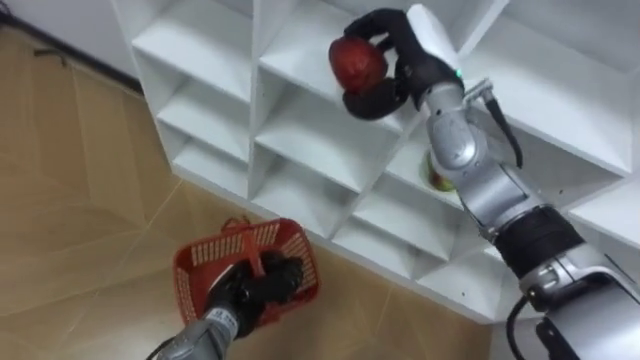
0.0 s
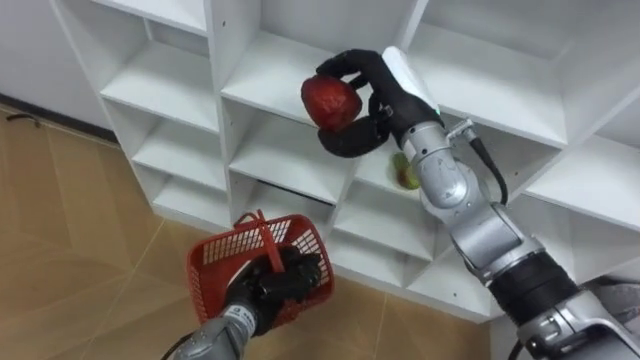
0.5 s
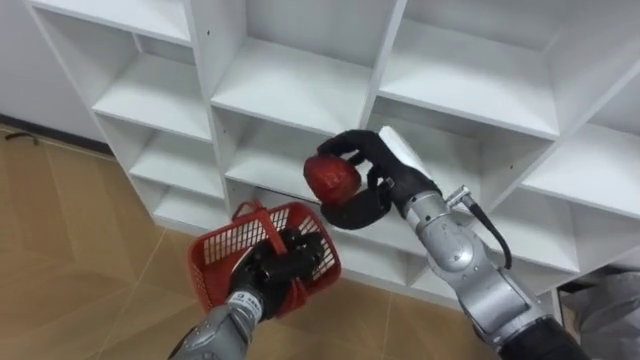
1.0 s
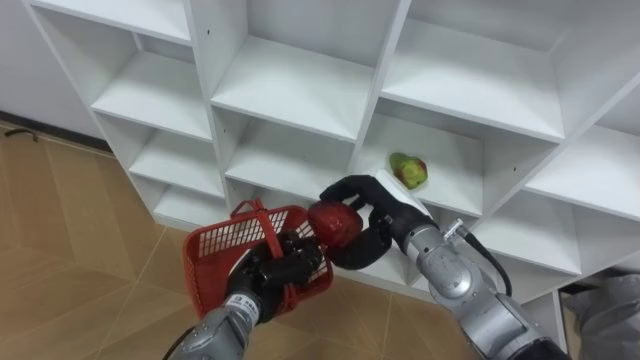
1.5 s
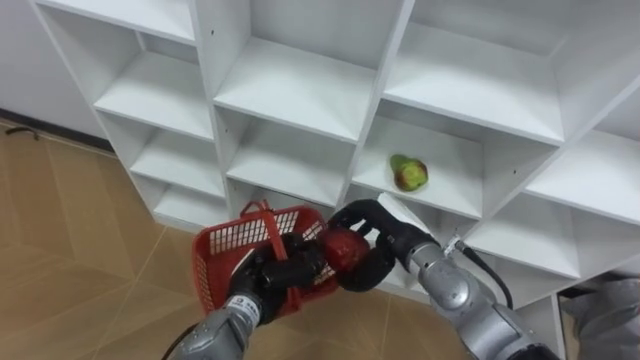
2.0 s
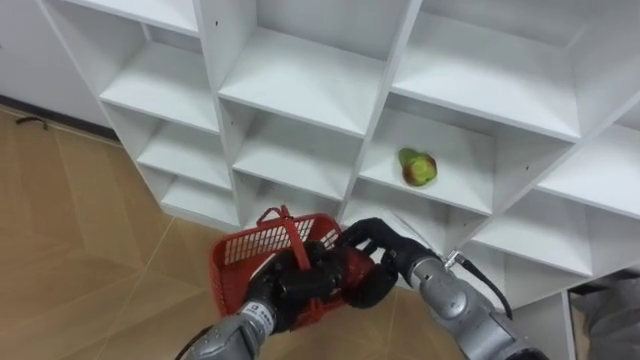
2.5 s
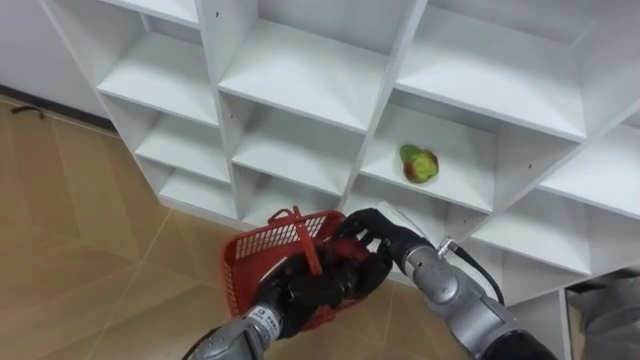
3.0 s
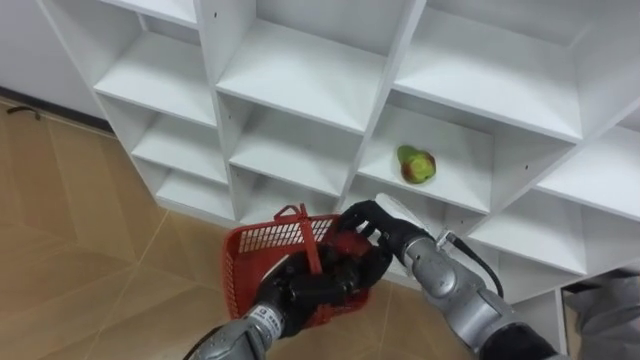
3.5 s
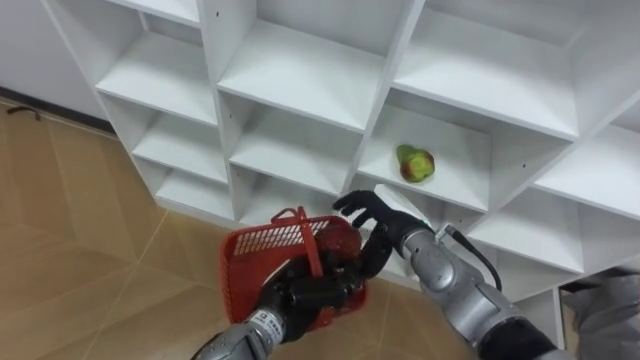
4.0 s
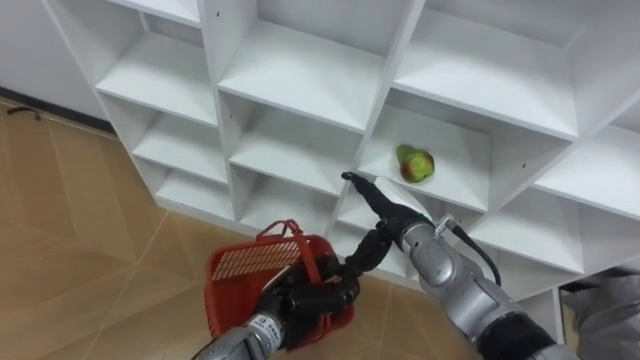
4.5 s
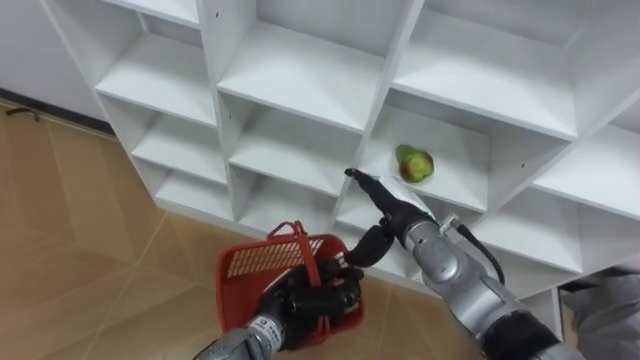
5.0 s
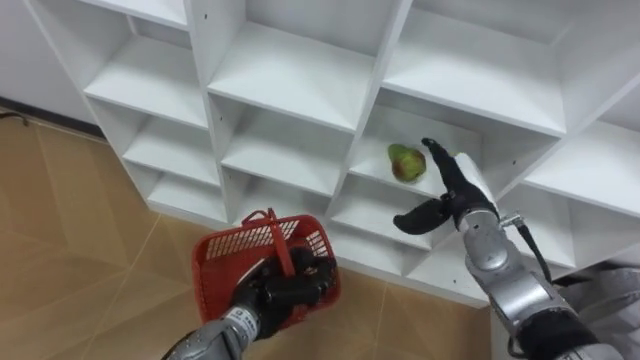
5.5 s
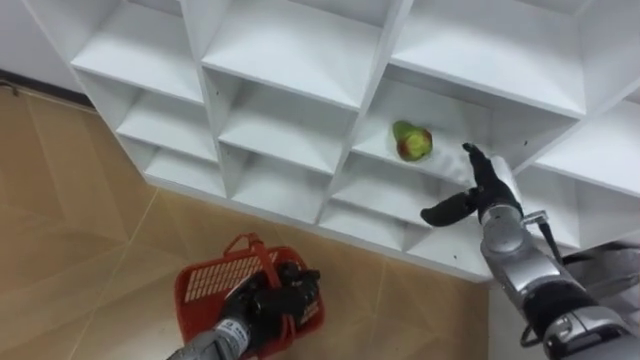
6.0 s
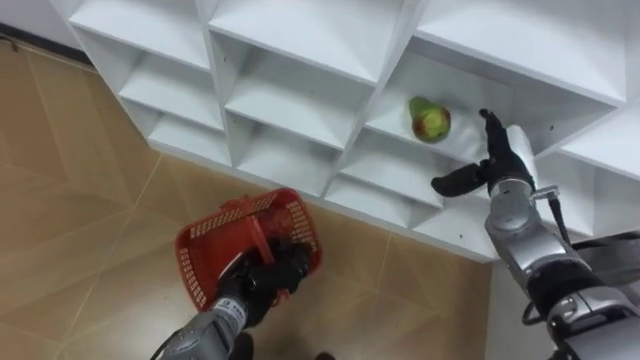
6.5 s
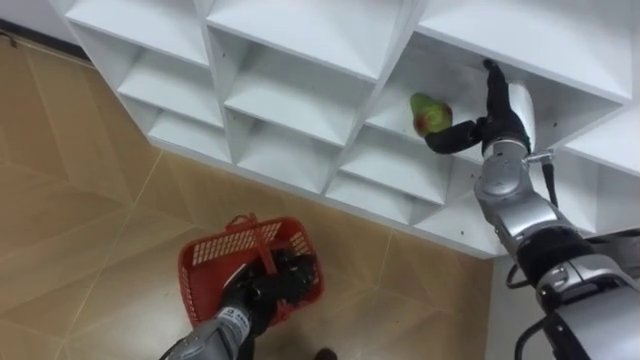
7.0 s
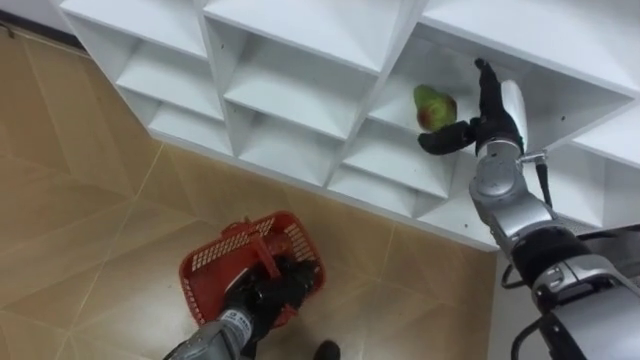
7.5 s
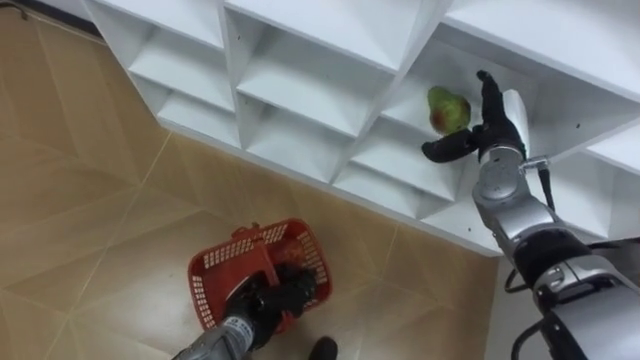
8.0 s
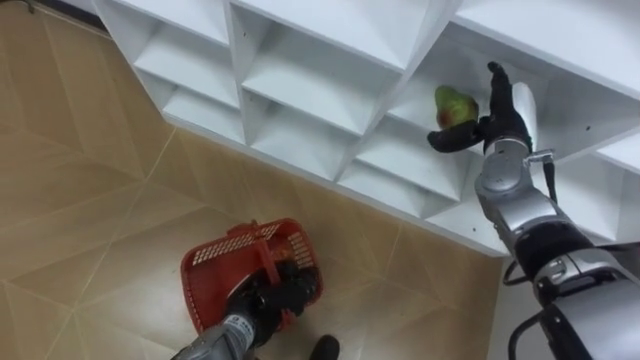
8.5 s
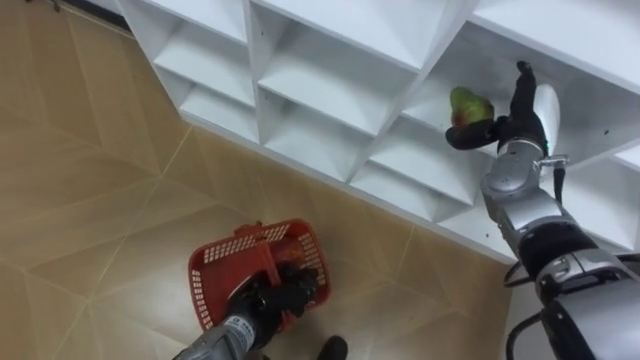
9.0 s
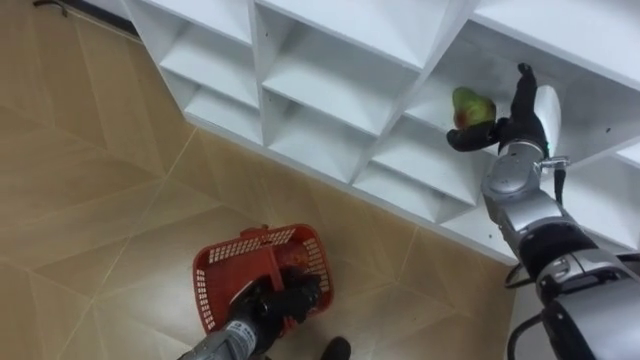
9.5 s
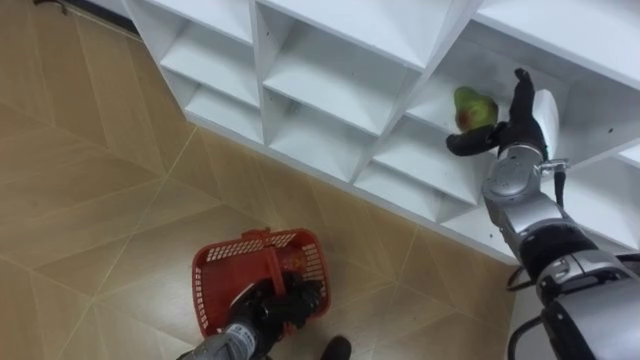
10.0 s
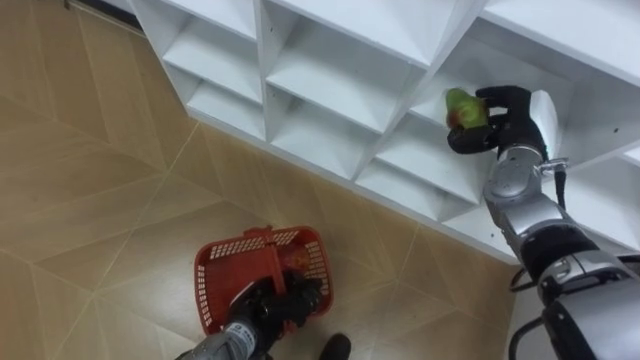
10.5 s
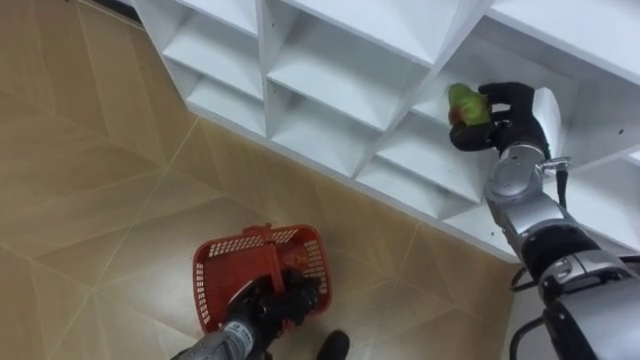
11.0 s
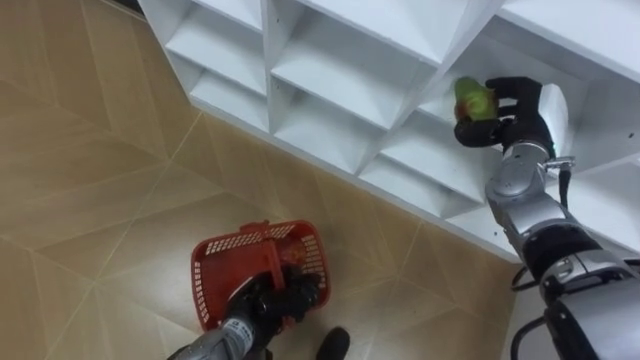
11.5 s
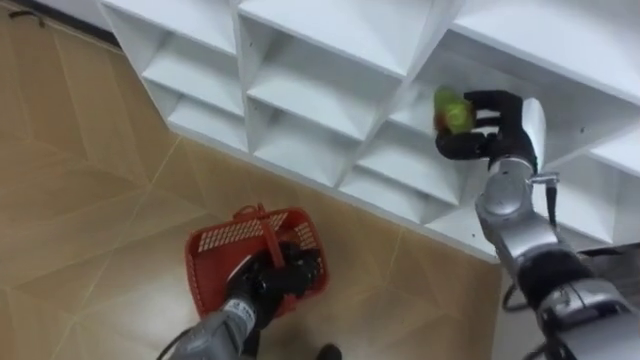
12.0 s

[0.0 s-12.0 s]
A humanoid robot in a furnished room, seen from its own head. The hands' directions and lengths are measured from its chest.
Task of the whole recording: Hold the basket and collect the fruits from 3 different cells of the closet into it.
0.0 to 2.0 s: The right hand moves downward and backward, some 20 cm.
2.0 to 4.0 s: The left hand changes place by roughly 5 cm.
4.0 to 6.0 s: The right hand heads to the right, covering roughly 15 cm, and opens. The left hand heads to the left, covering approximately 5 cm.
6.0 to 8.0 s: The right hand travels upward and forward by roughly 10 cm.
10.0 to 12.0 s: The right hand closes.

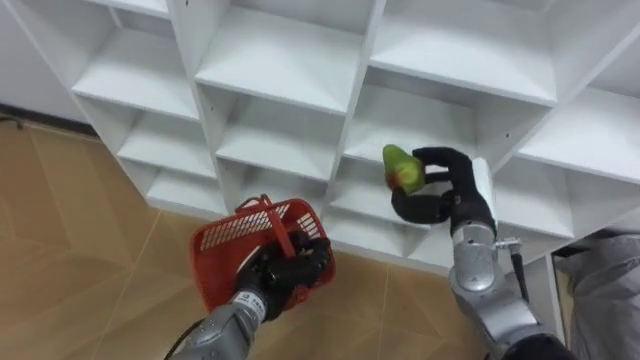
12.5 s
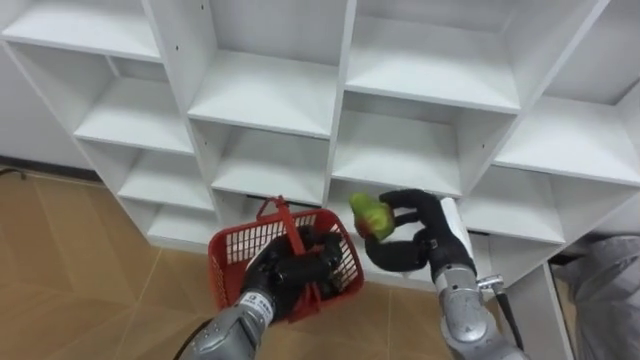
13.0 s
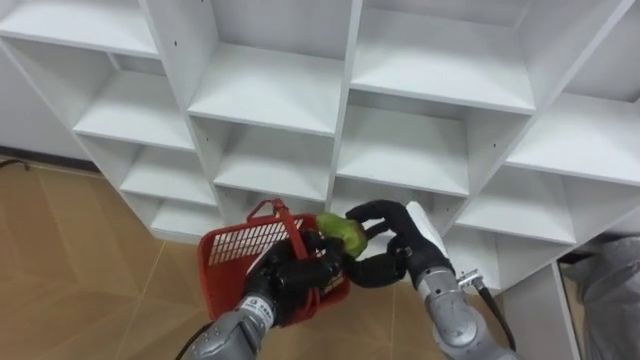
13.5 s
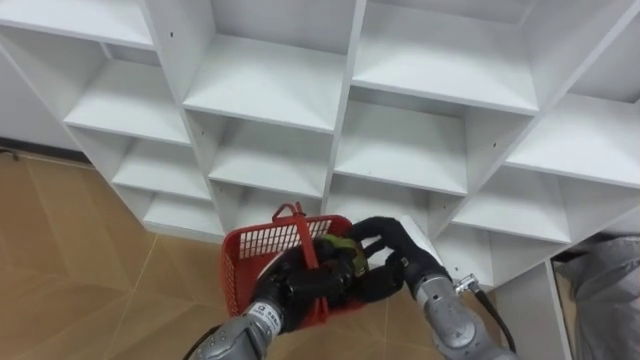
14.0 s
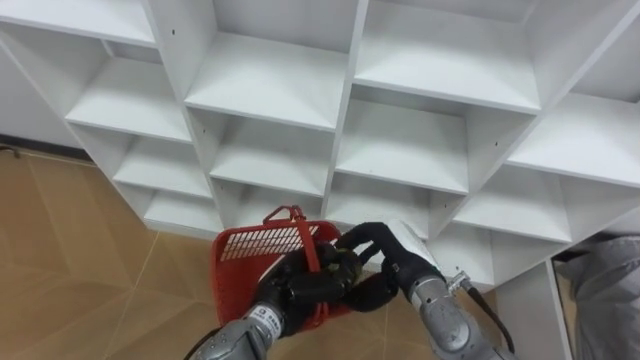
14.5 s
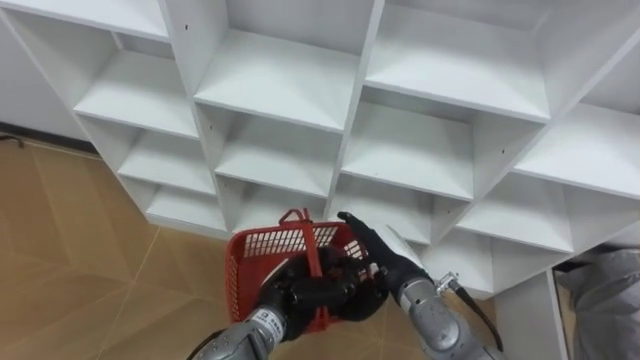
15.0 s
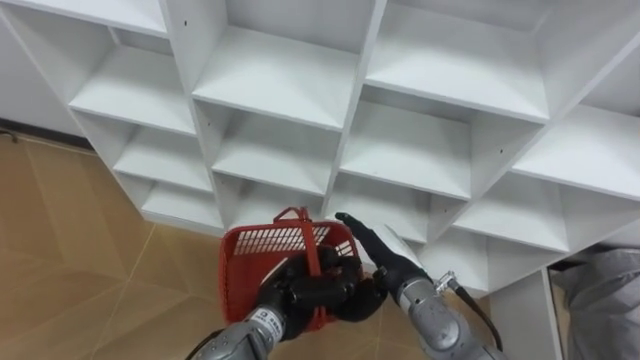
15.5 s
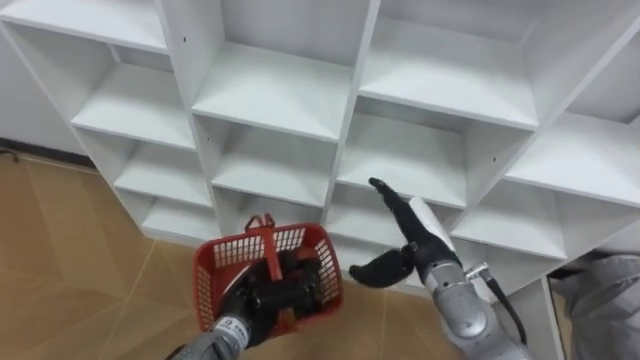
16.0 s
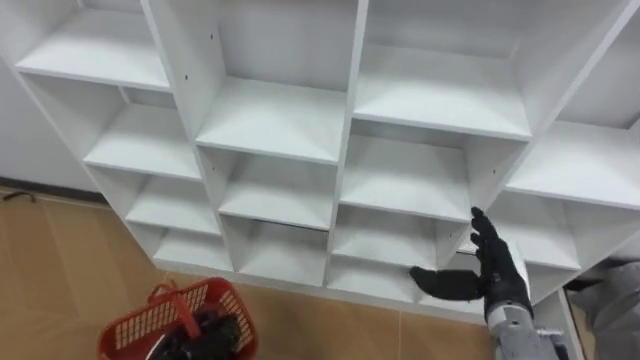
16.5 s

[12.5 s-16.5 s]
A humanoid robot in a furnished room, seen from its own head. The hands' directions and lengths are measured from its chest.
Task of the whole recording: Hold the basket and collect the fruits from 3 different cells of the closet into it.
12.5 to 14.5 s: The right hand shifts about 10 cm to the left, backward and downward.
14.5 to 16.5 s: The left hand travels to the left, downward and backward by approximately 20 cm. Meanwhile the right hand heads to the right, covering approximately 15 cm, and opens its fingers.

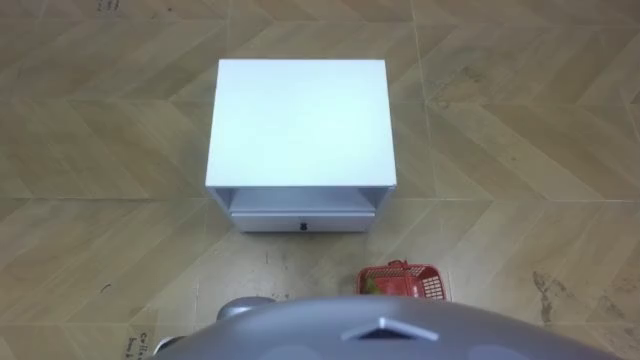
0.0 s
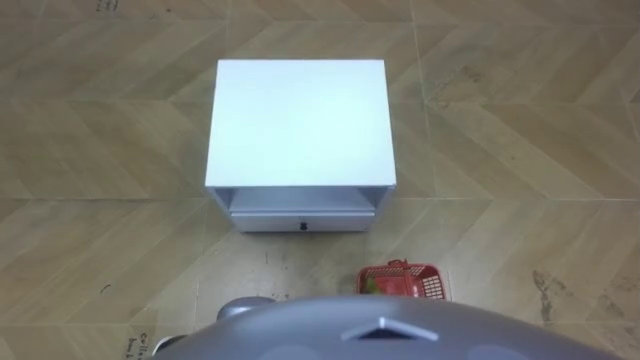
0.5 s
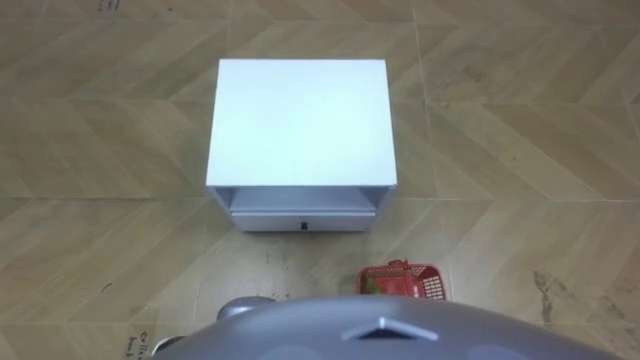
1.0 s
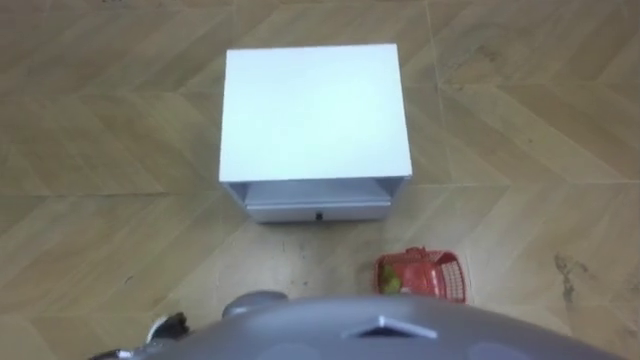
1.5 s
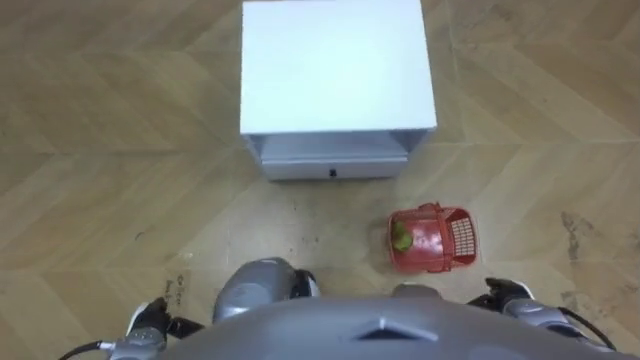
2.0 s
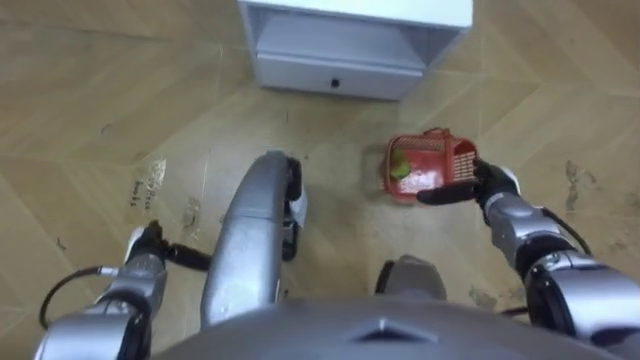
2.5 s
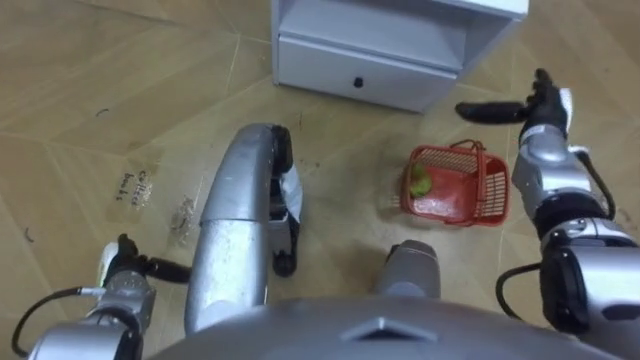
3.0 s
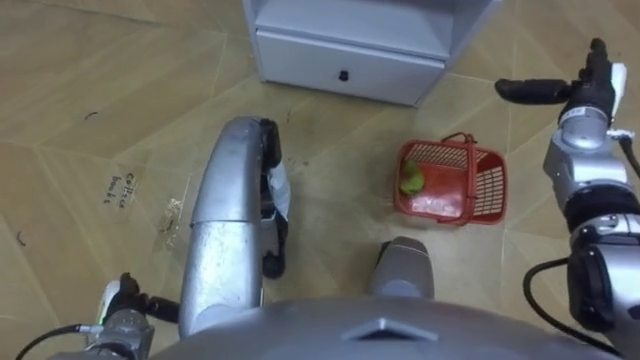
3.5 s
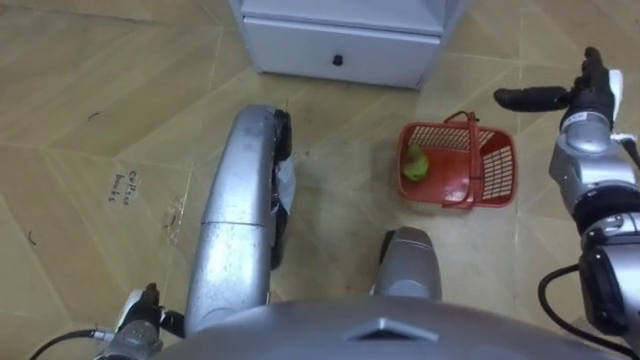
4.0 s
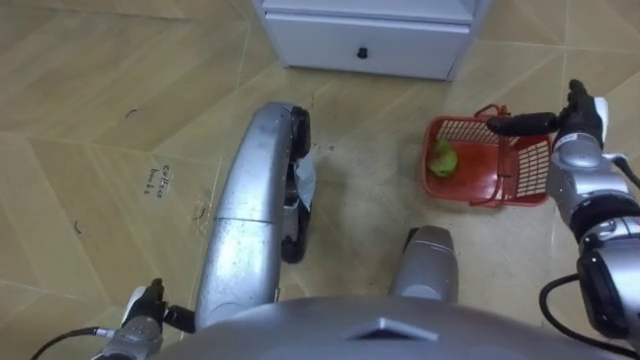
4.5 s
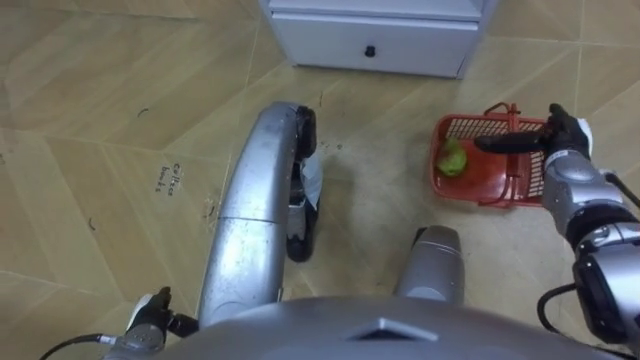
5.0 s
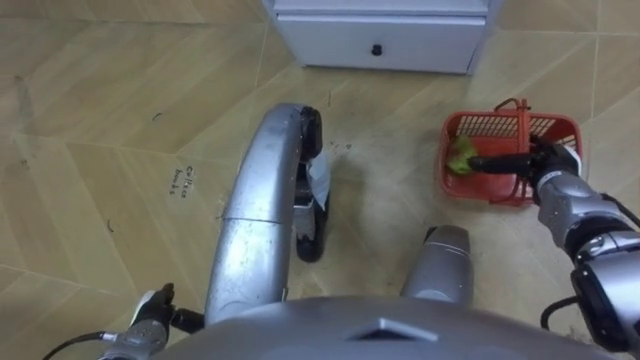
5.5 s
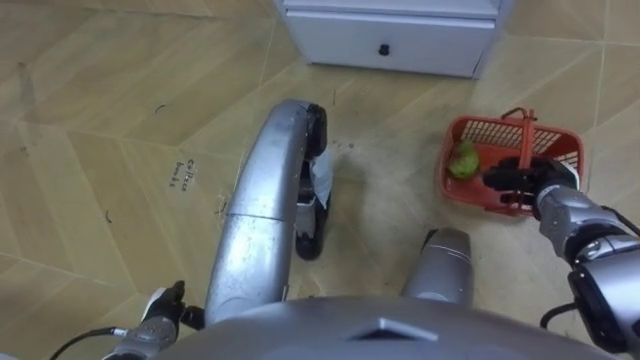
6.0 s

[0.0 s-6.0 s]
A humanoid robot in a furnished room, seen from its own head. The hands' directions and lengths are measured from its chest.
Task of the whole recording: Pick up the fruit basket from the floor and place it on the cabinet.
2.0 to 4.0 s: The left hand travels forward and back again, some 10 cm each way. Meanwhile the right hand heads forward and upward, covering roughly 30 cm.
4.0 to 6.0 s: The right hand is displaced downward and backward by approximately 15 cm, and closes its fingers.
